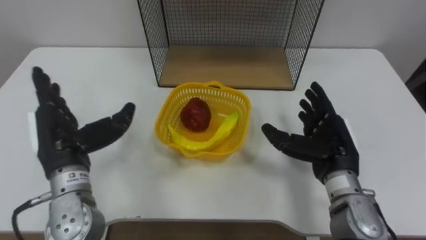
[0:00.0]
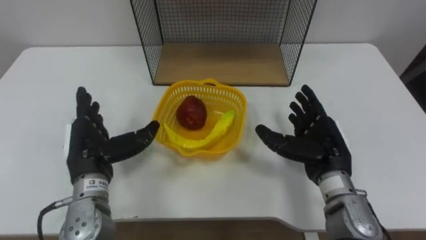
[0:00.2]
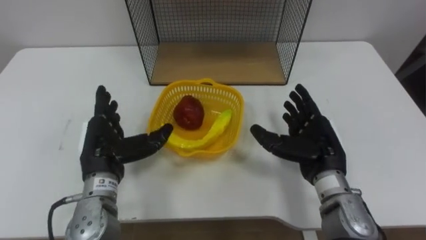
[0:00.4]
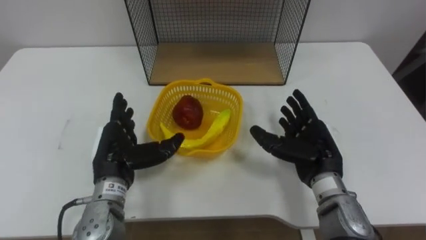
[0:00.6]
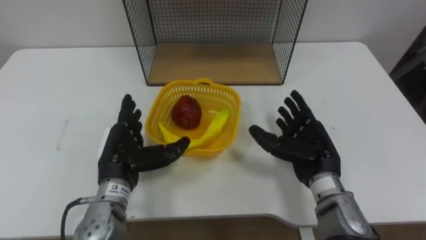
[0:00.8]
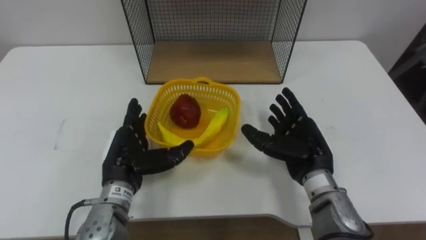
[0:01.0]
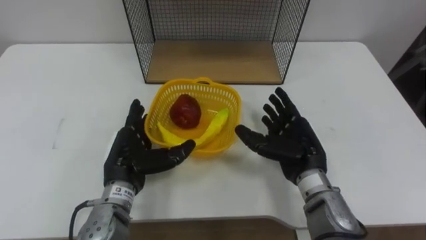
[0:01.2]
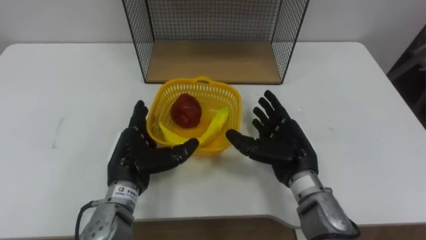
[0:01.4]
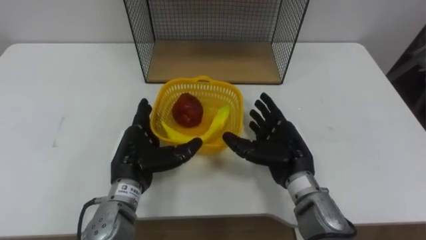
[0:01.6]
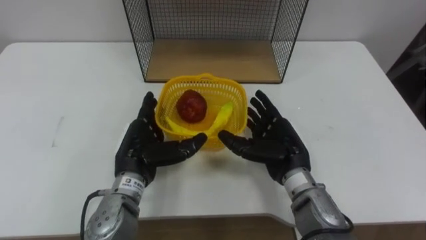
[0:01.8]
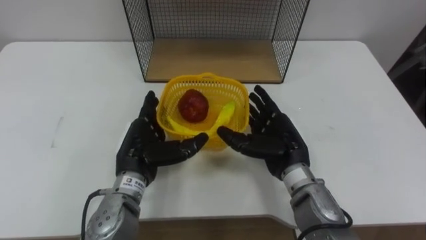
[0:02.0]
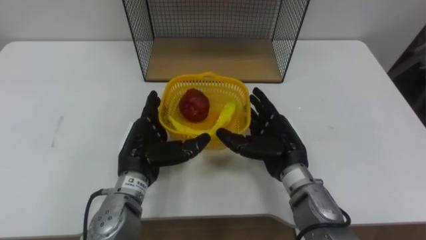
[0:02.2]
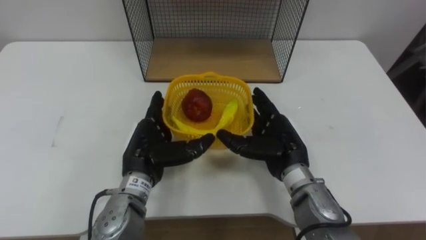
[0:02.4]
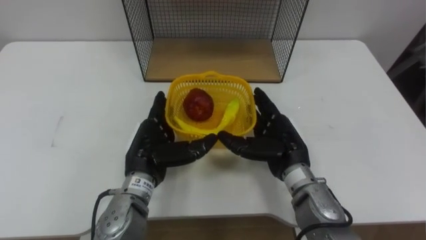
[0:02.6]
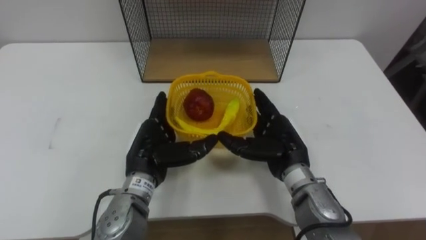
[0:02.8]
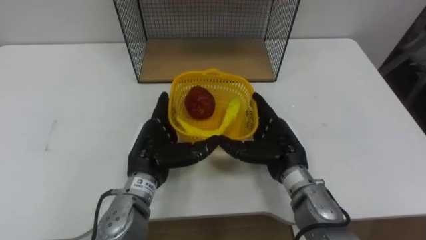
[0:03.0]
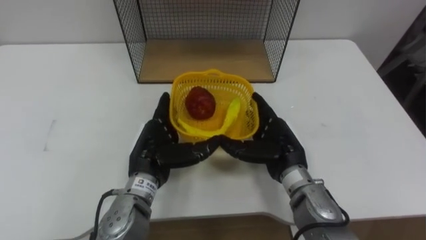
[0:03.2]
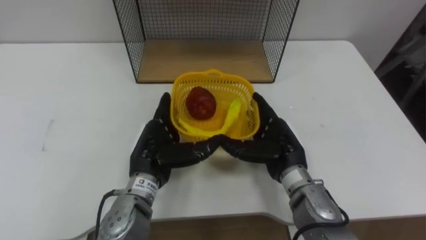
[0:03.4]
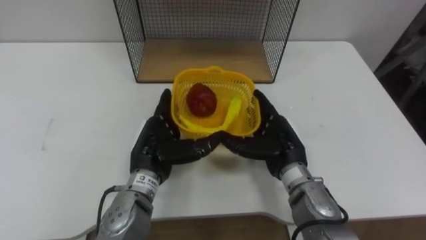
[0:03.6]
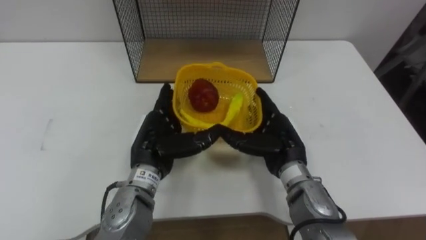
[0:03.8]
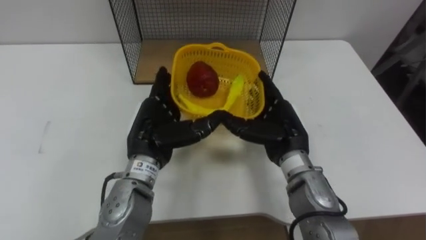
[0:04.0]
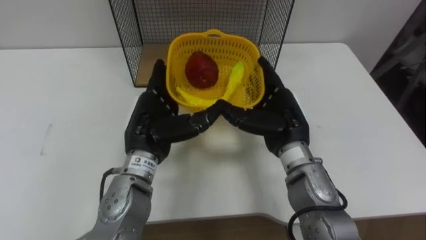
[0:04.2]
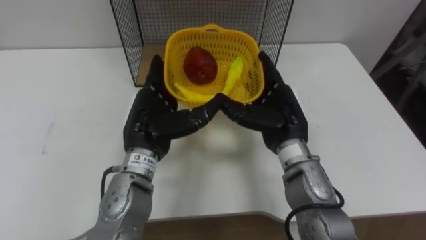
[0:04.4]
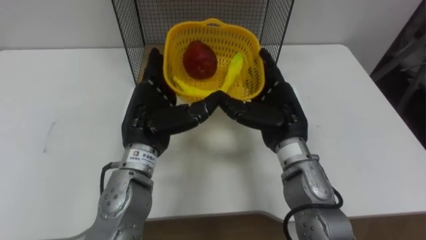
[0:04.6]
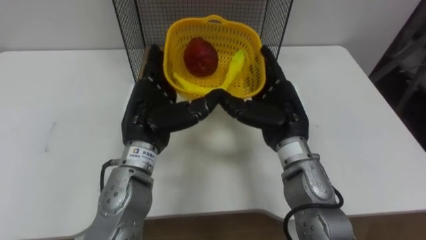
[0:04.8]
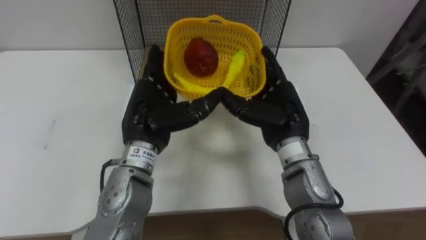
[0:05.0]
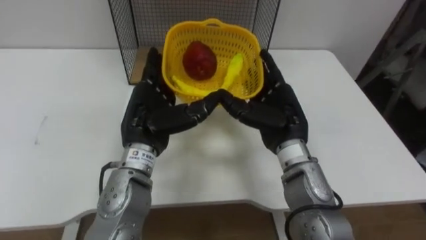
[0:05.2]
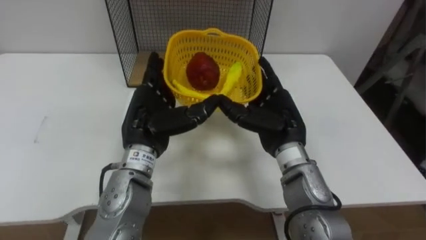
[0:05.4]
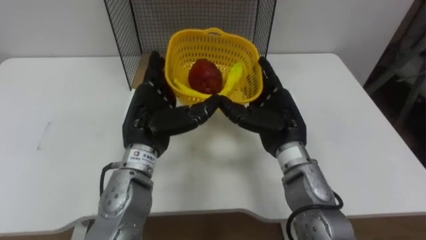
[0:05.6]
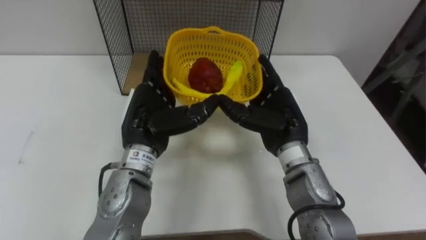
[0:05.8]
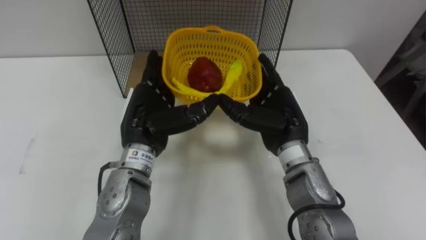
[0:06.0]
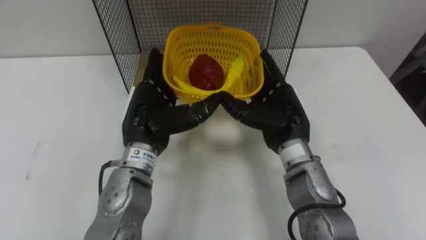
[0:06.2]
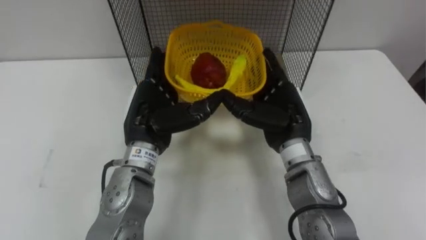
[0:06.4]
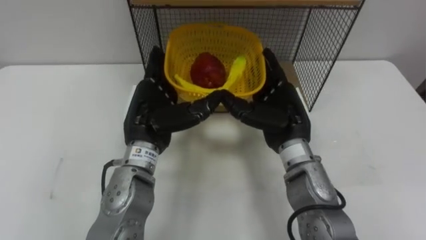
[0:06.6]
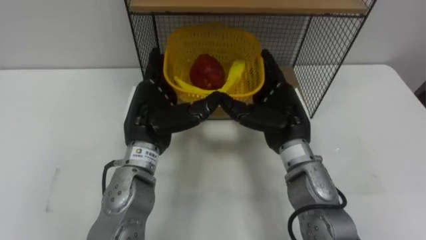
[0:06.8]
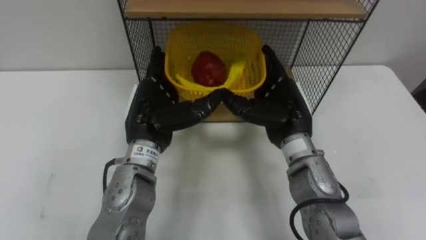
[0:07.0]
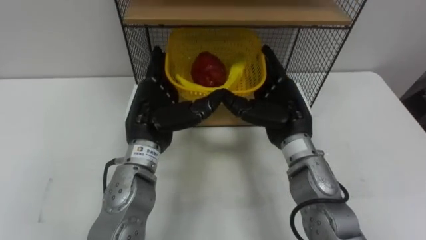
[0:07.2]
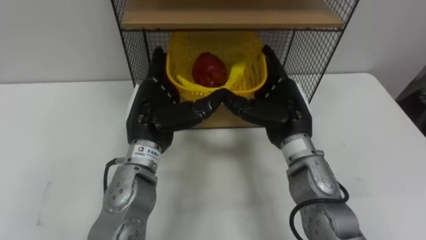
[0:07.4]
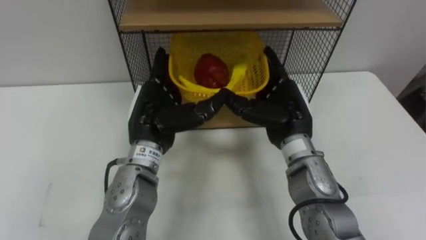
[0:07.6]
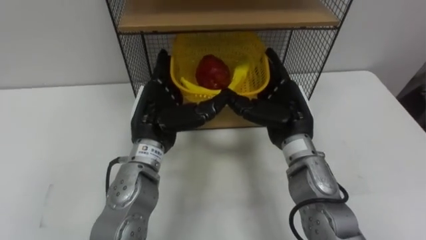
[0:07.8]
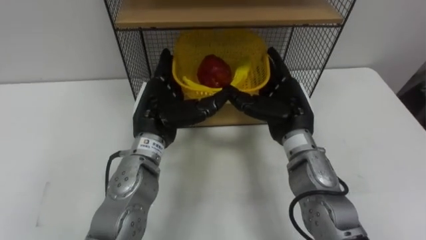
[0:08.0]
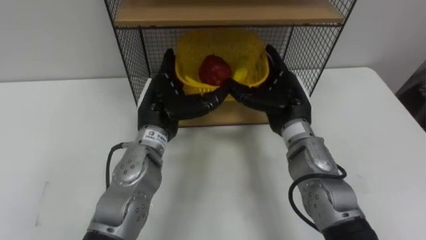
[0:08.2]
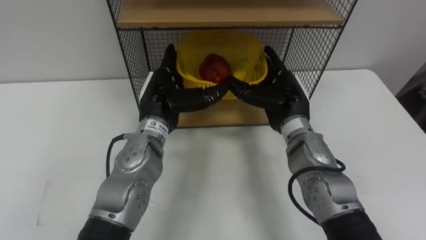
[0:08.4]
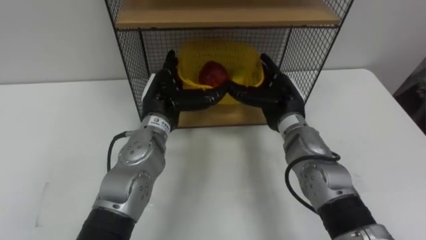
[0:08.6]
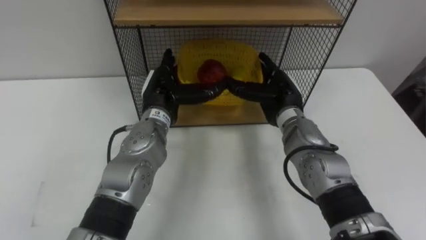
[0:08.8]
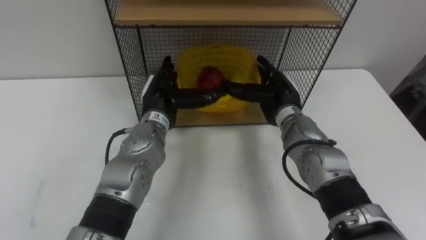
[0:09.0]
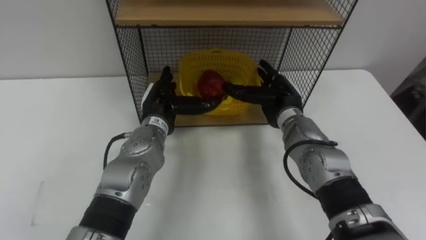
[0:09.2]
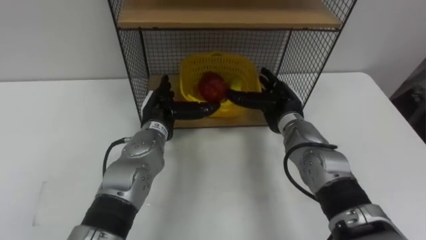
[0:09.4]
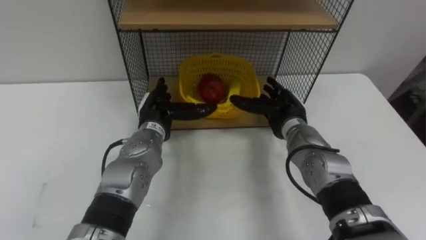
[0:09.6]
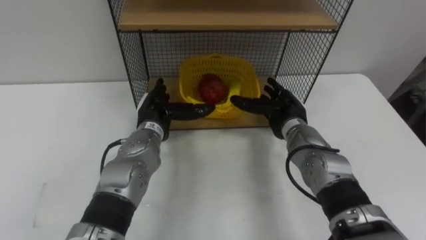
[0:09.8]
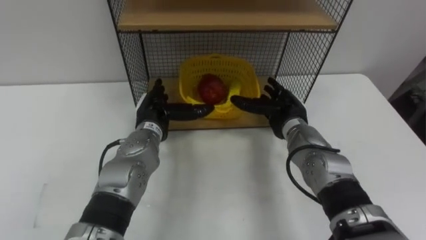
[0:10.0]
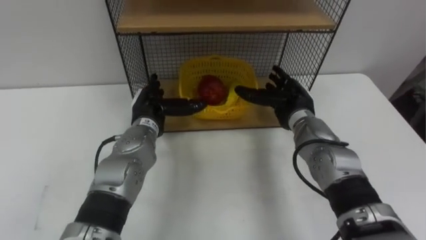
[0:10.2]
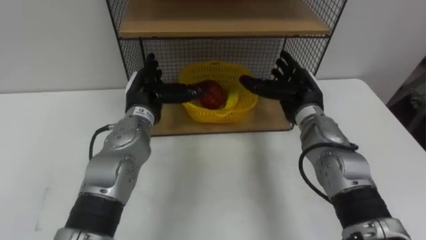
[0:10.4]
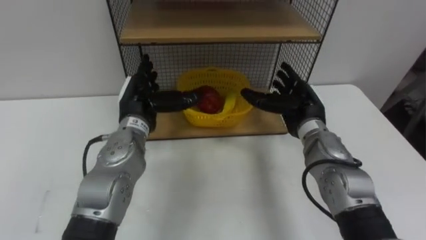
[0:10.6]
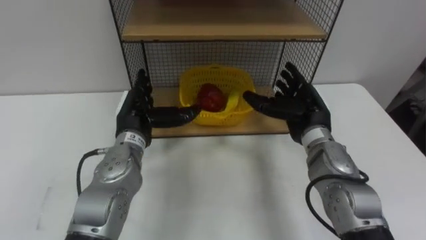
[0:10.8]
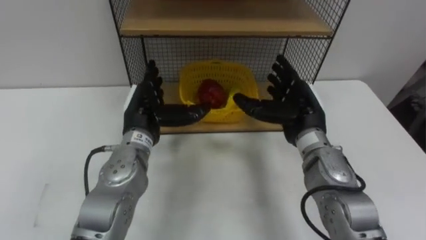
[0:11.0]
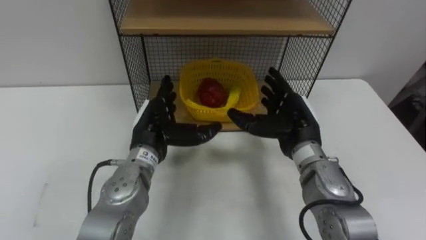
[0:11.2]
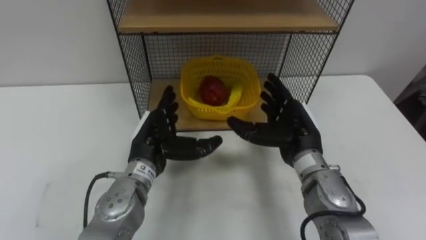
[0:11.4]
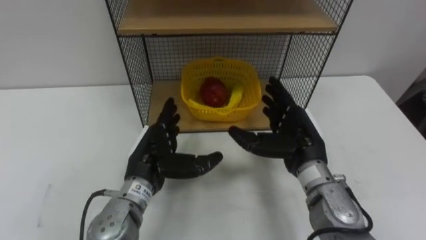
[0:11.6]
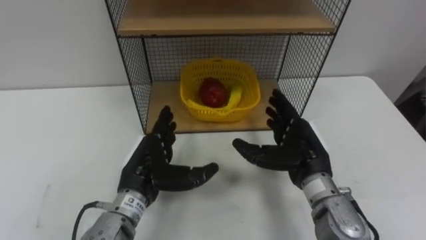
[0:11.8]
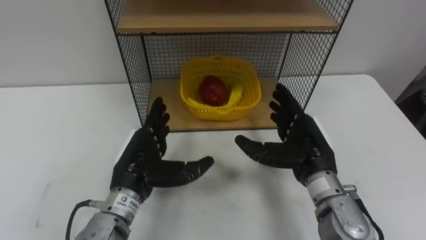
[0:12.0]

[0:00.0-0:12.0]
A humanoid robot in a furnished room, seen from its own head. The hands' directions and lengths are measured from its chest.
Task of the whole recording: Put the fruit on the table into the basket, then place the basket on the shelf.
0:00.0 to 0:01.6: The right hand shifts about 5 cm to the left. Meanwhile the left hand goes roughly 10 cm to the right and downward.
0:01.6 to 0:03.0: There are only small adjustments of the hands.
0:03.0 to 0:04.4: Both hands travel together upward, about 5 cm.
0:07.6 to 0:09.0: Both hands move forward, roughly 5 cm.
0:10.4 to 0:12.0: The hands both shift backward by roughly 10 cm.

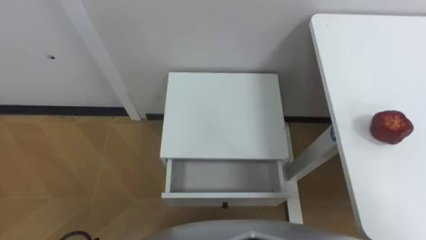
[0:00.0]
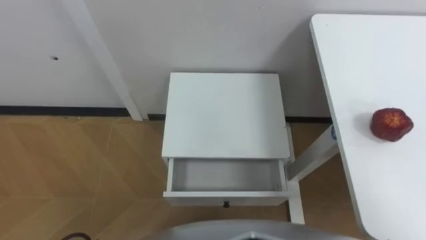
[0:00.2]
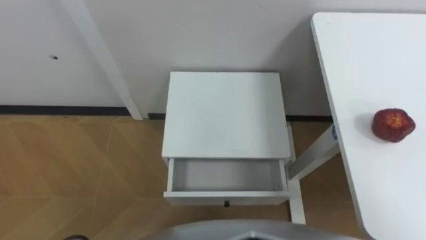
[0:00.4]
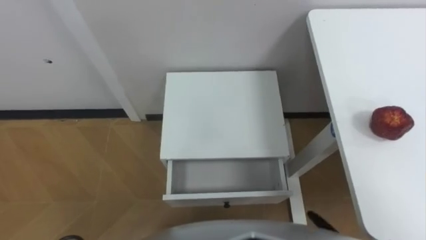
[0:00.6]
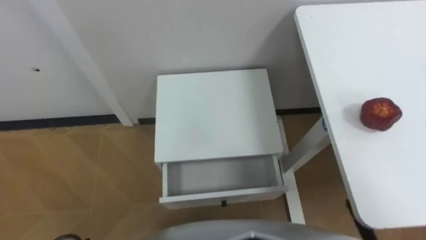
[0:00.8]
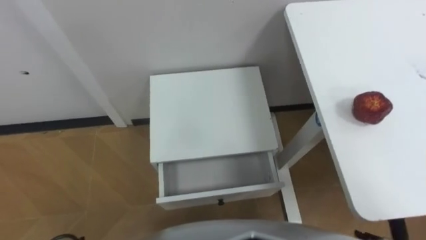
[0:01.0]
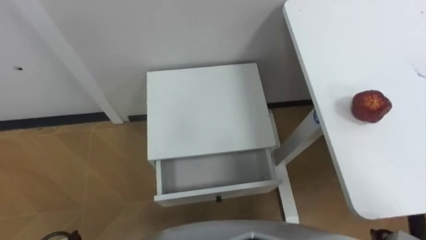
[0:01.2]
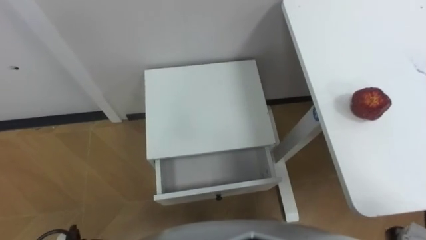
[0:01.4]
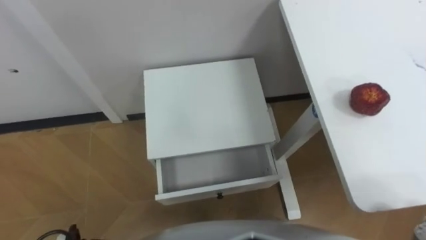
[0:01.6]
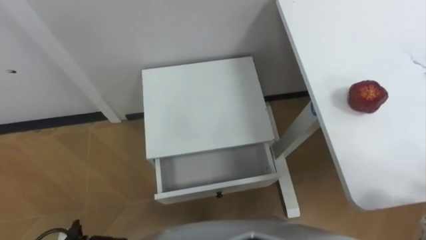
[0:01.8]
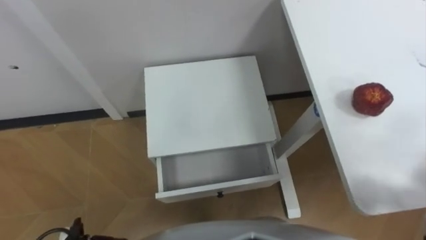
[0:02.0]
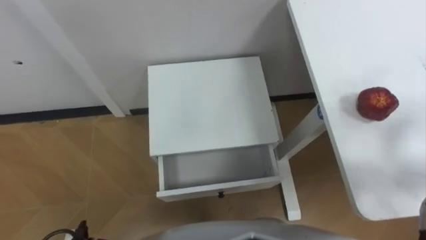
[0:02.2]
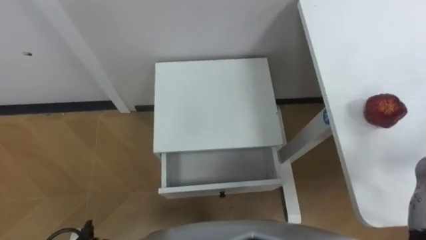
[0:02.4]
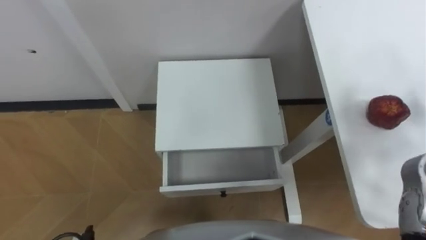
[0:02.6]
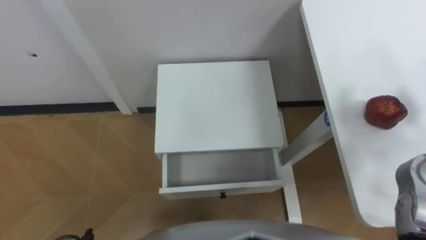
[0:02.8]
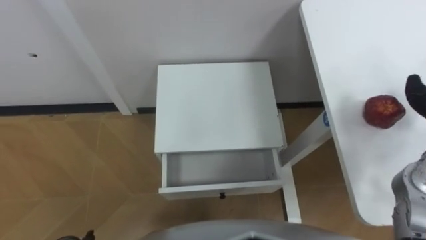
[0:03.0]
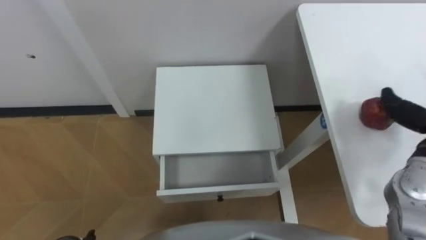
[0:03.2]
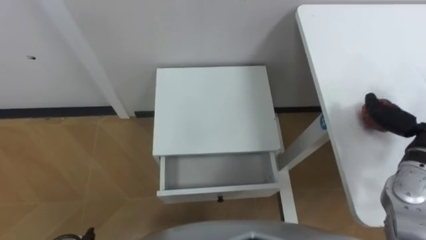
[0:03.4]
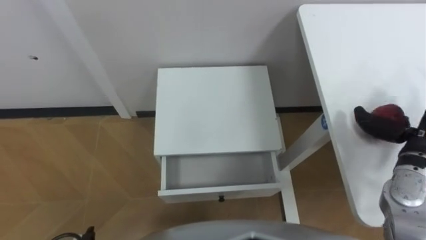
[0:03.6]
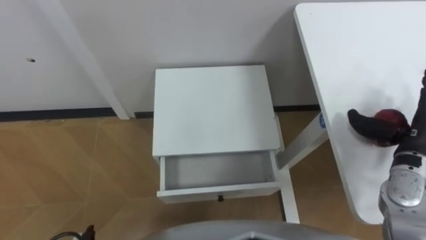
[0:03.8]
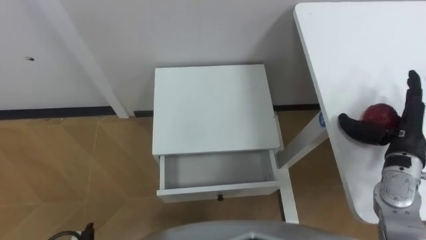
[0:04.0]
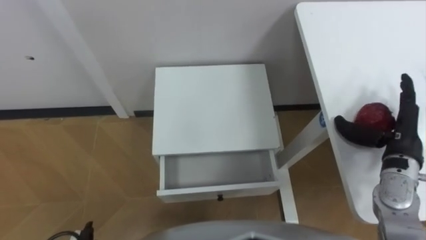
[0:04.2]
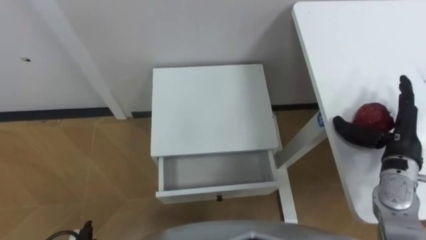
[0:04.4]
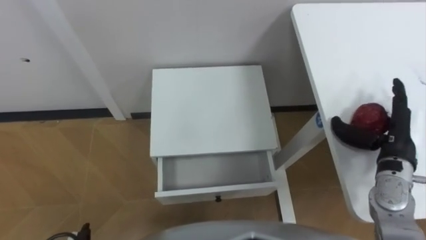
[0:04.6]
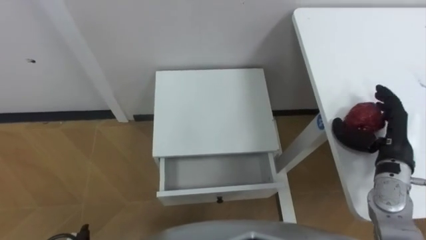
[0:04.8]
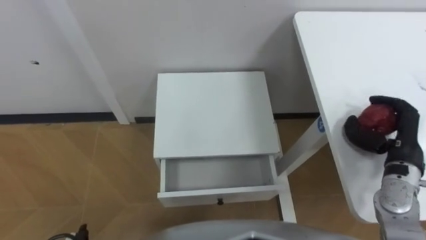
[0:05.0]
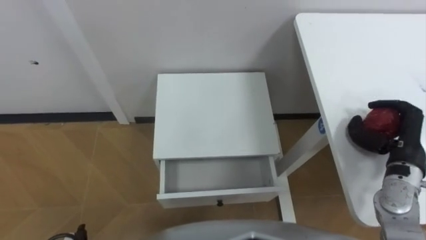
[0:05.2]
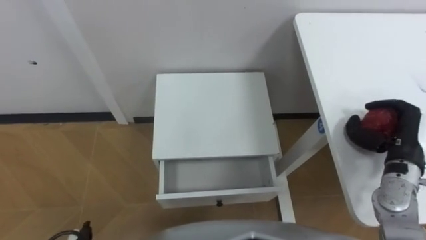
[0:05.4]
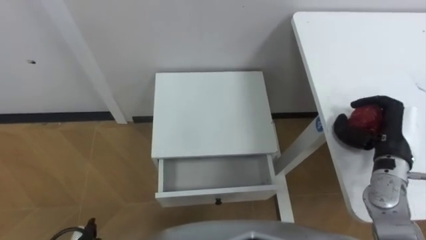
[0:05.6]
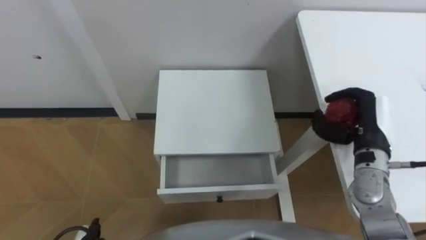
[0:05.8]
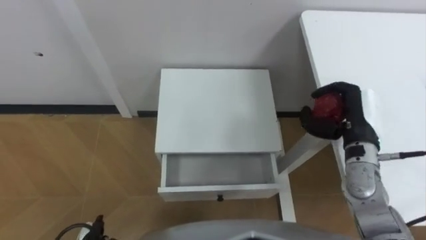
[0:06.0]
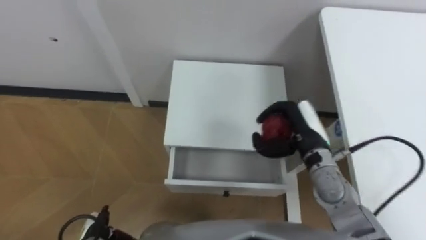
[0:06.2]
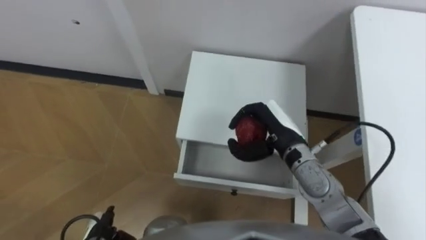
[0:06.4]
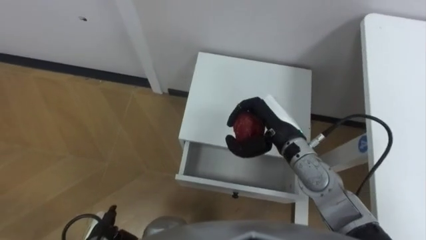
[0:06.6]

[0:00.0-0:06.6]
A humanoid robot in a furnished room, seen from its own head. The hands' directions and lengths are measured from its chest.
Task of the whole recording: Pick up the apple from the table, put it in the drawer, and close the drawer with leg.
0:05.0 to 0:06.6: The right hand travels to the left by roughly 25 cm.
